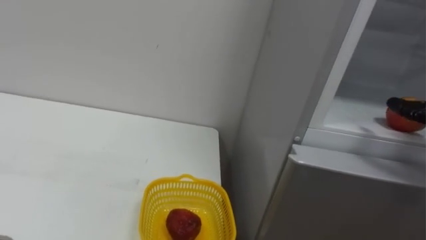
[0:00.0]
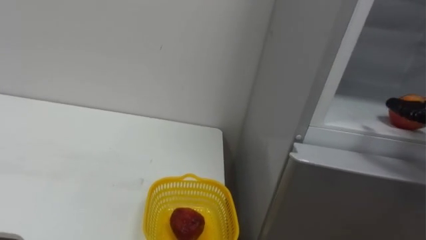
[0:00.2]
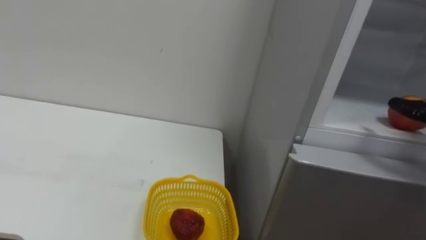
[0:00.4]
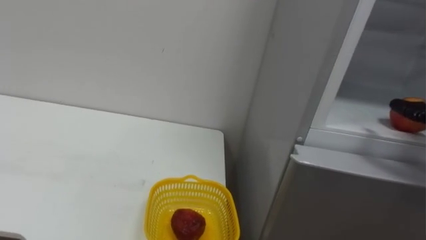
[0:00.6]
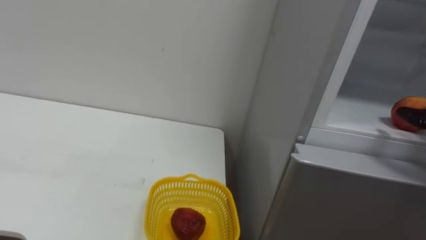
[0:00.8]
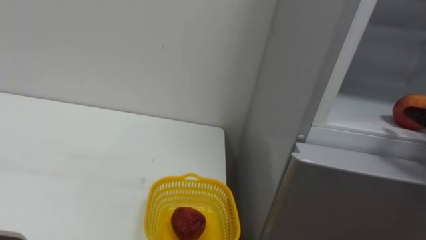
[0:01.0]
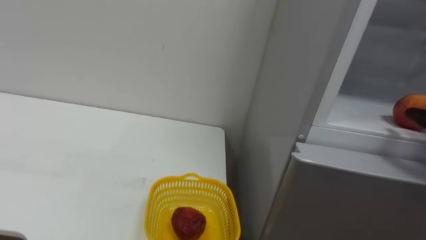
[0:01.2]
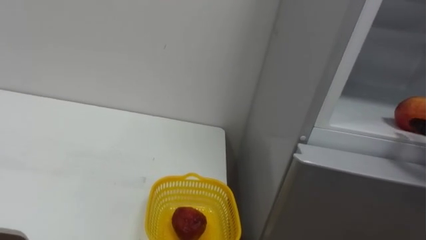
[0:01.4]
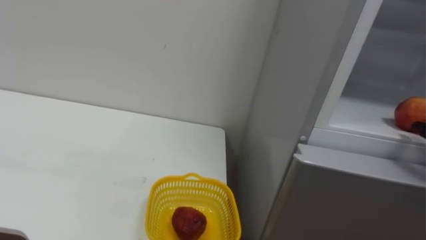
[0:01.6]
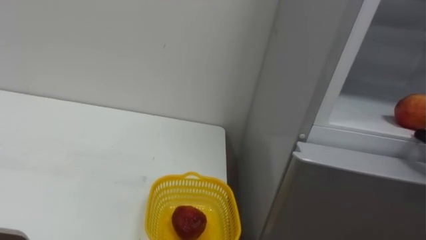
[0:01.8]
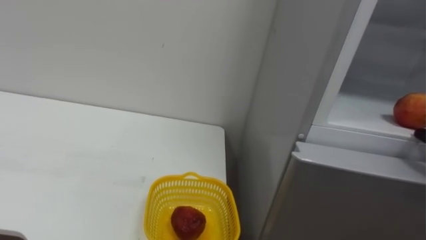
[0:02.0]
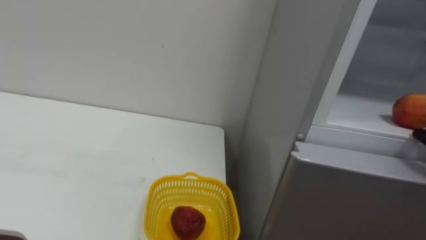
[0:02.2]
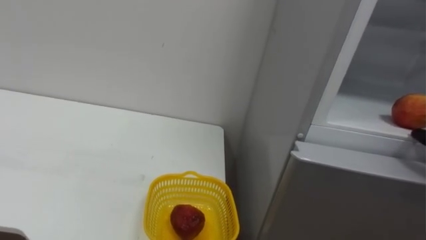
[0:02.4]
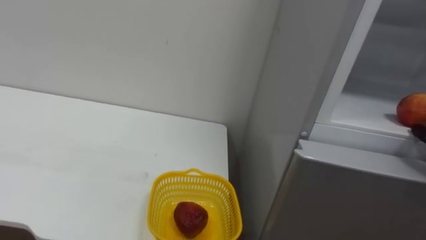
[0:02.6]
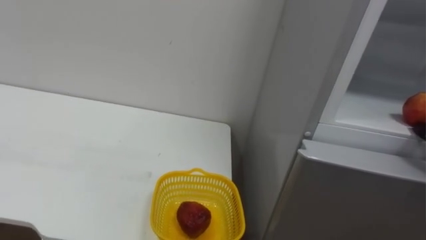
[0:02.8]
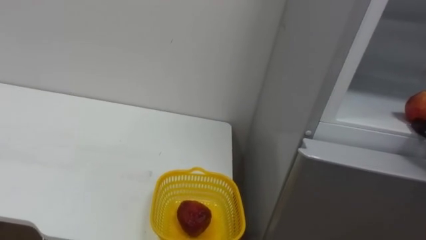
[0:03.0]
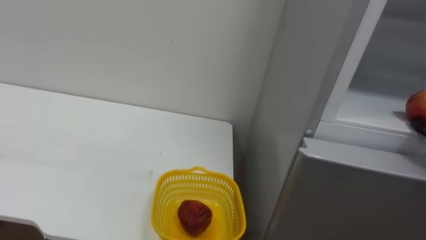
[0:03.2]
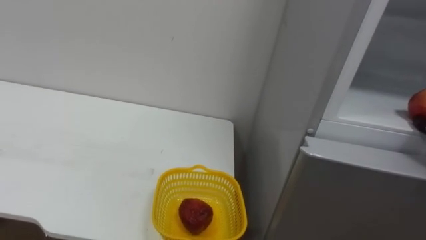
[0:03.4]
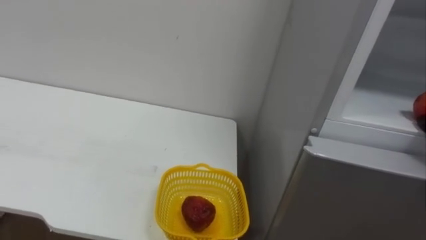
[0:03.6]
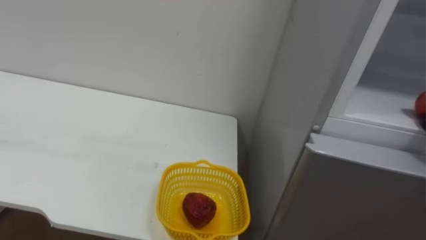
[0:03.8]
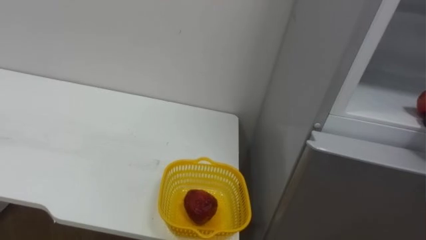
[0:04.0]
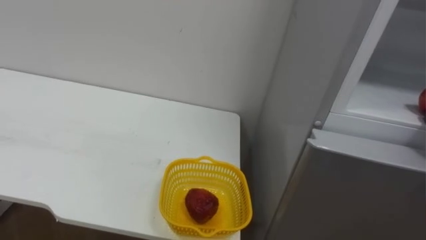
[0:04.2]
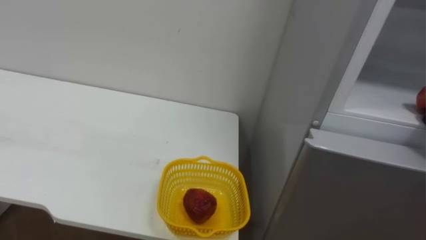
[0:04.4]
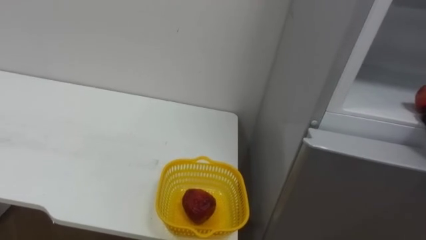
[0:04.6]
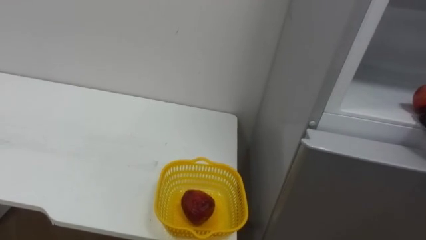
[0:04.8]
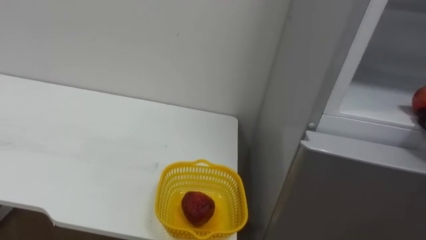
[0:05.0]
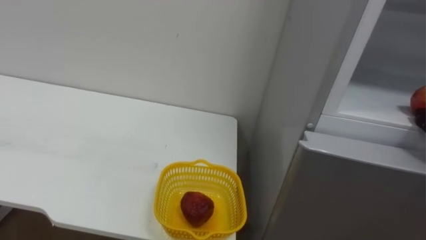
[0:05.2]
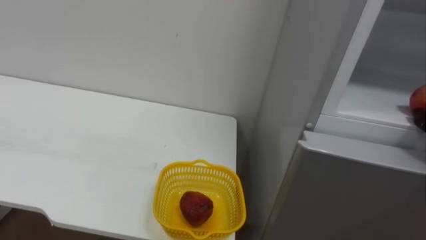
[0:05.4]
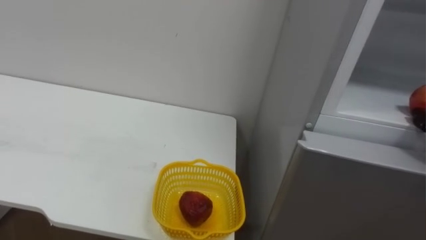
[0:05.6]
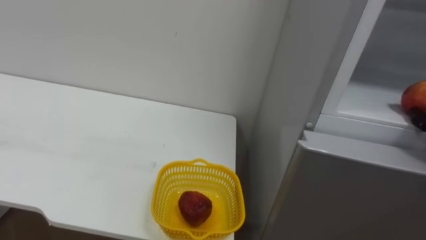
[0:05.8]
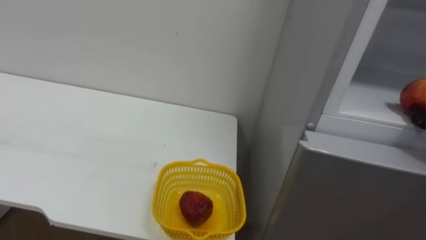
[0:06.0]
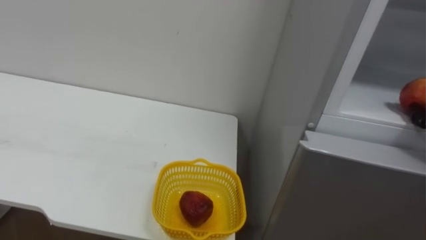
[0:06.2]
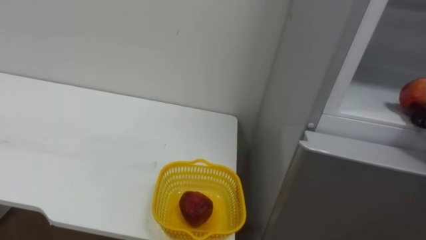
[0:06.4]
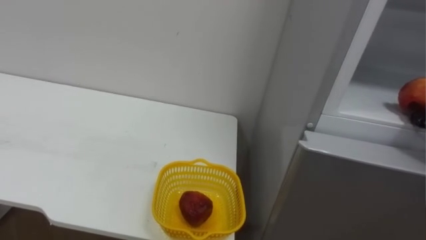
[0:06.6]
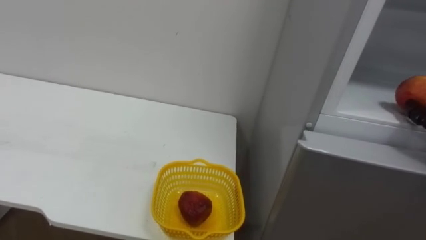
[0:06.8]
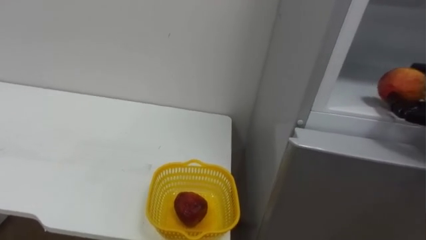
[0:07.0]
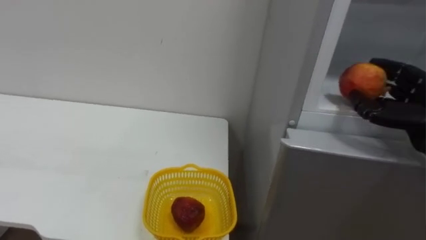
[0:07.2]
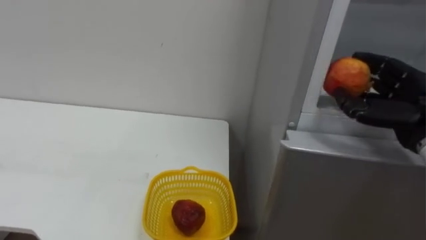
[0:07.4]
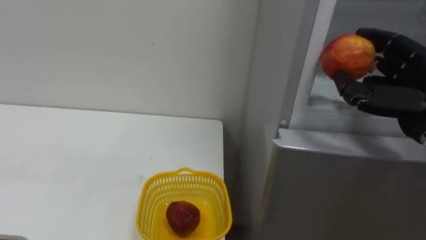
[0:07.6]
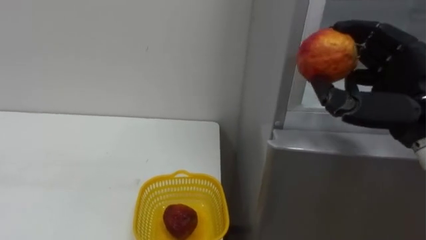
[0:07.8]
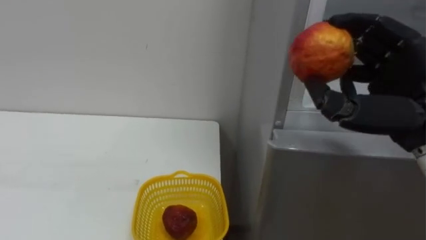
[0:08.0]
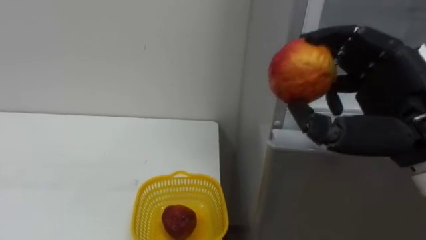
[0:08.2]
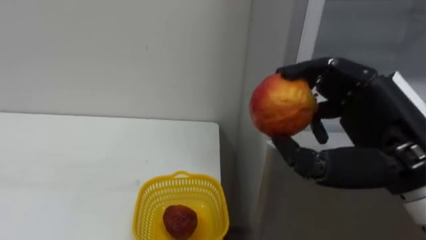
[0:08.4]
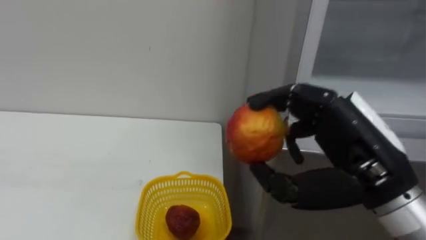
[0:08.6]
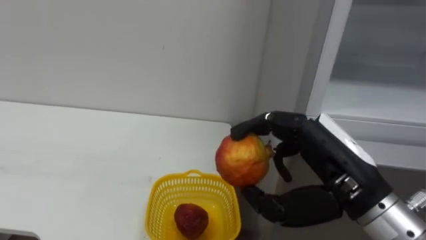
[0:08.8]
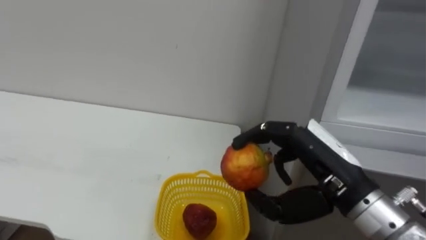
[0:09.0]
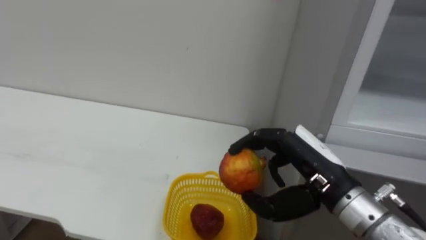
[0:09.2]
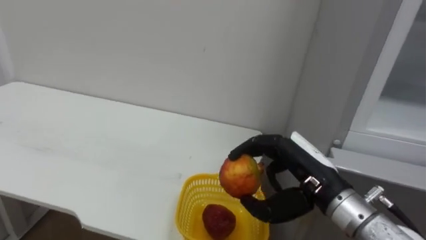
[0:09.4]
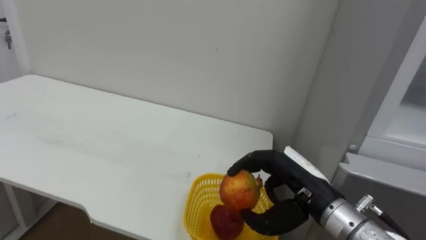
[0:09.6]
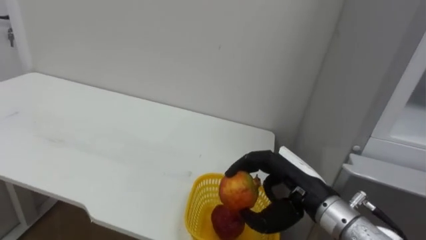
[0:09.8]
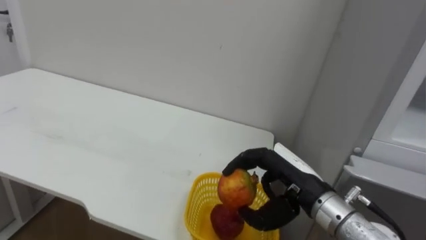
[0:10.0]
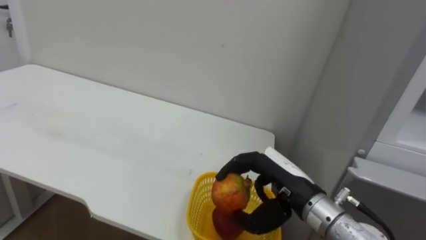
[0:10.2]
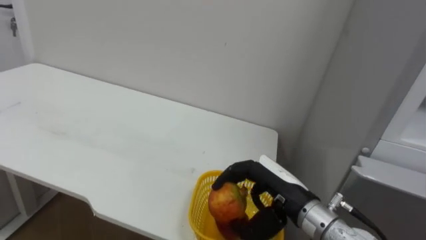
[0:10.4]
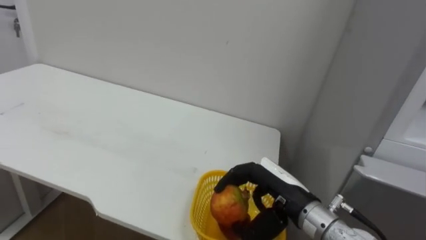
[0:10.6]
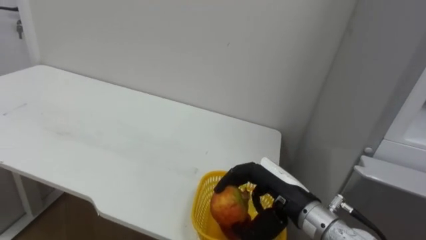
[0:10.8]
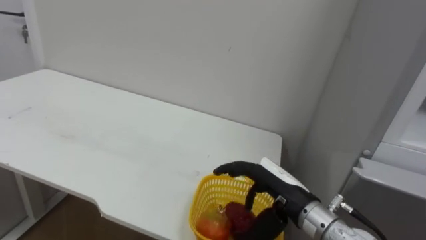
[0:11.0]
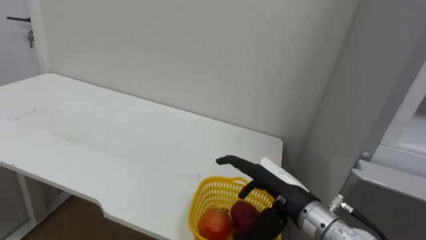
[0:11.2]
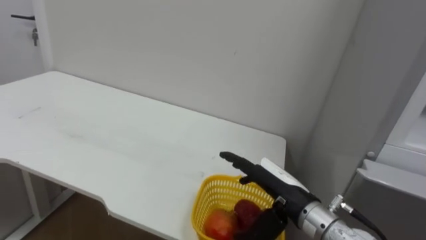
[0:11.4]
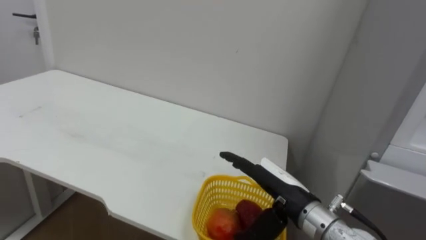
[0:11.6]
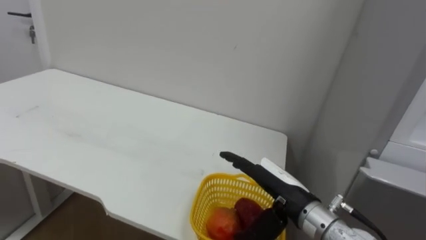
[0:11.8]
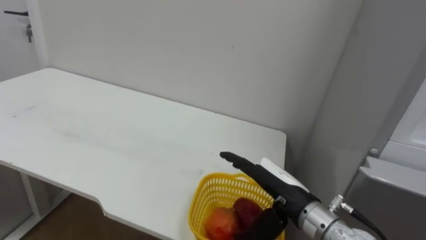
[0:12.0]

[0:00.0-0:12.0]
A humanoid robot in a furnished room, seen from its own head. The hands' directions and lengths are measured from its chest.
Task of the whole recording: Open the refrigerator door, take out the apple and the pomegranate, place them in the fruit basket on the left, and close the refrigerator door.
0:07.6 to 0:09.0: The right hand goes about 15 cm to the left, backward and downward.
0:09.0 to 0:10.4: The right hand moves downward, about 10 cm.
0:10.4 to 0:12.0: The right hand opens its fingers.

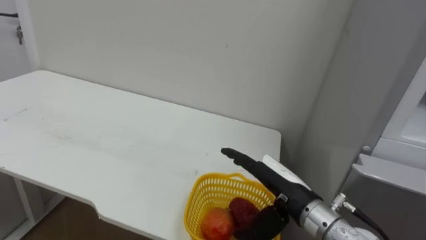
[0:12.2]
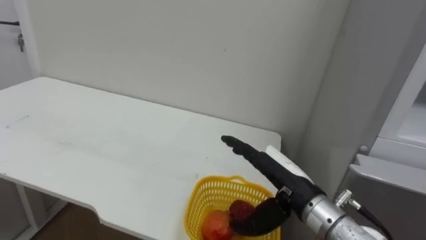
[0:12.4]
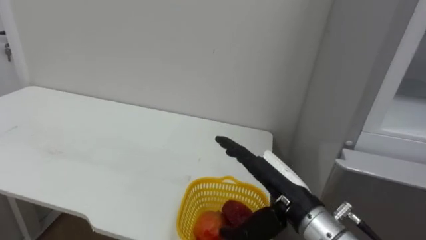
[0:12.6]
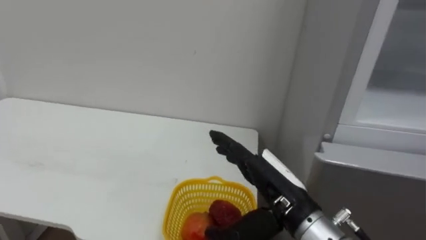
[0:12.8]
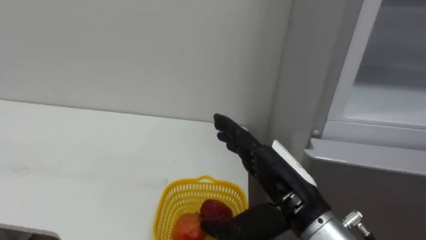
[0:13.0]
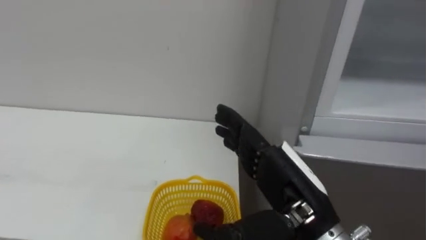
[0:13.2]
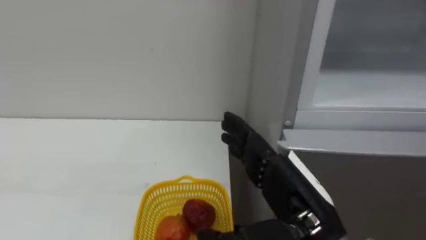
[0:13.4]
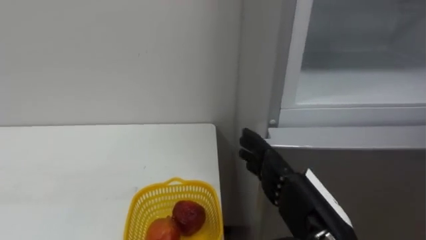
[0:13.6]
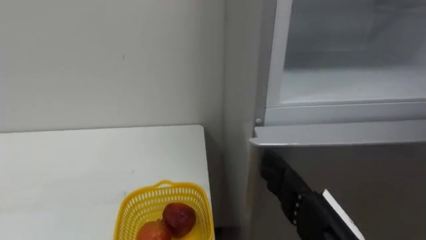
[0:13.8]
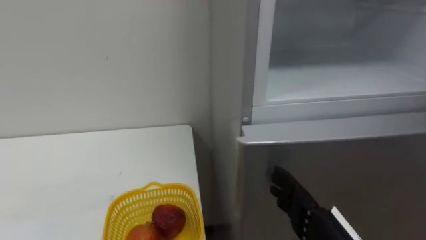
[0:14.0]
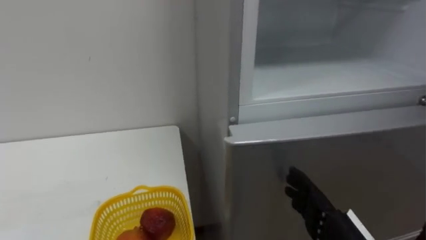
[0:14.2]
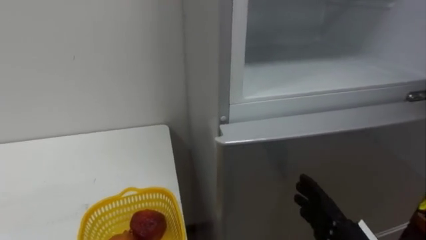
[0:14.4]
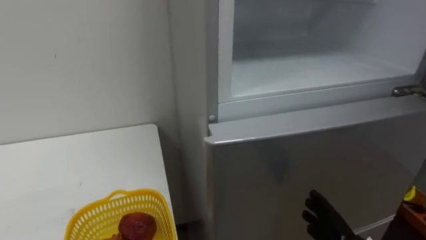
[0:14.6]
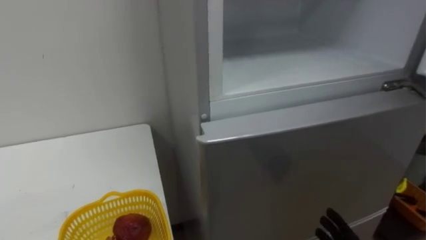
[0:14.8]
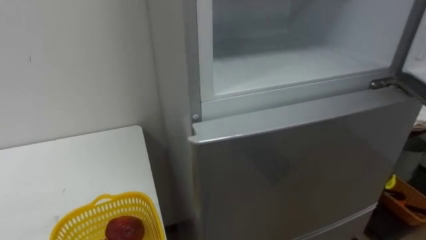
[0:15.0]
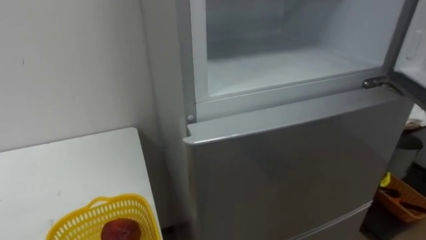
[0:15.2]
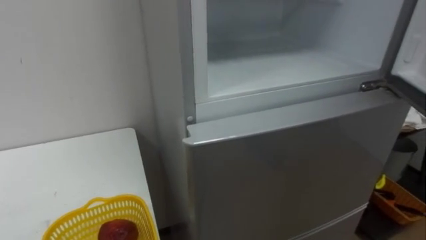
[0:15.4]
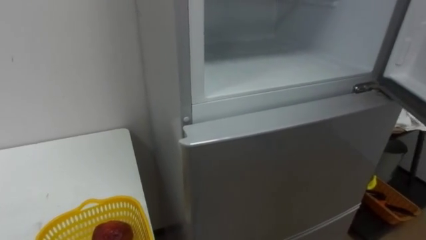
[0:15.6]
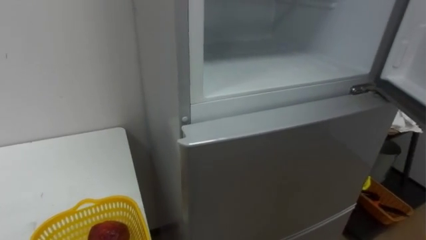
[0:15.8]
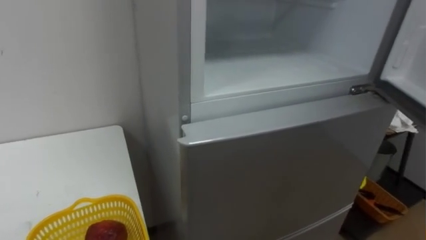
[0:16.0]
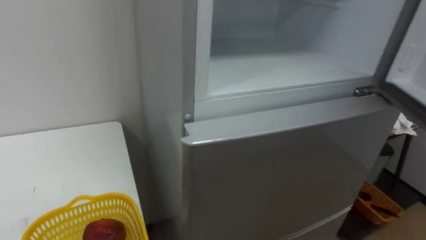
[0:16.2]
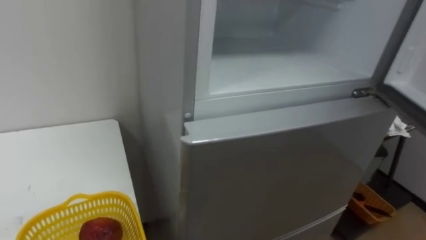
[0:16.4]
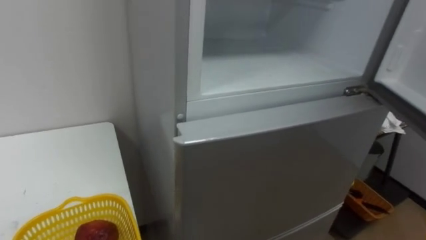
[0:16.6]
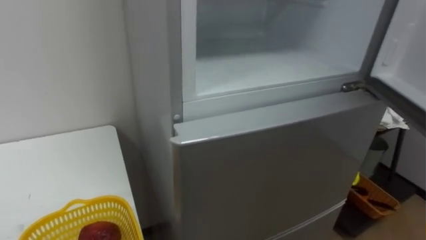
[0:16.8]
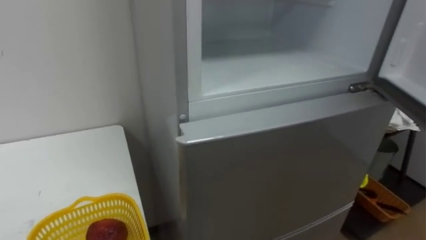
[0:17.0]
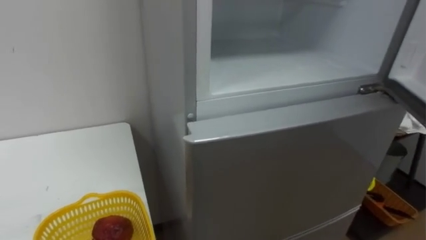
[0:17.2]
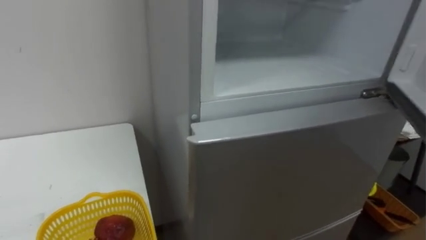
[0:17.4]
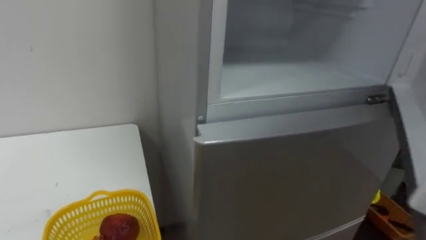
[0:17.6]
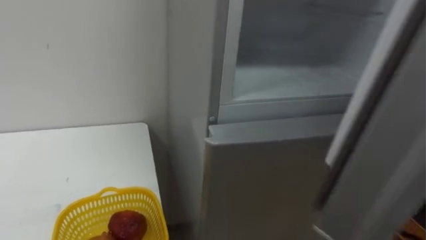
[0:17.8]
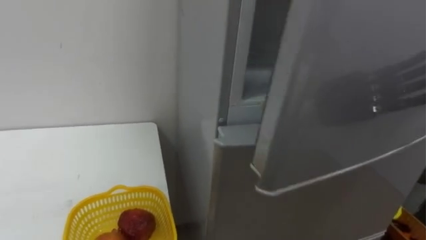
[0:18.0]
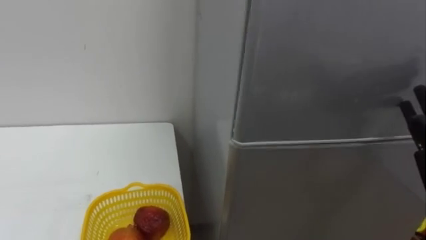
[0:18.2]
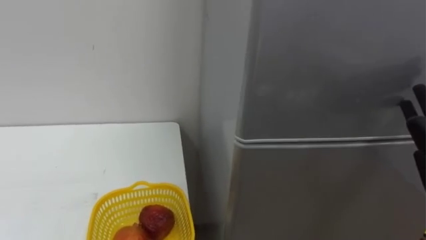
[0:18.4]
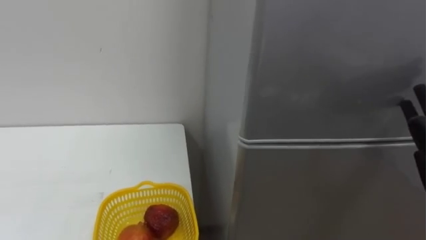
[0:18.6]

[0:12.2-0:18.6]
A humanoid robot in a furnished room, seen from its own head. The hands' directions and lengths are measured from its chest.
Task of the whole recording: Open the refrigerator door, take out the apple and the pomegranate, place them in the fruit basket on the left, and close the refrigerator door.
0:12.2 to 0:13.8: The right hand shifts about 10 cm backward.
